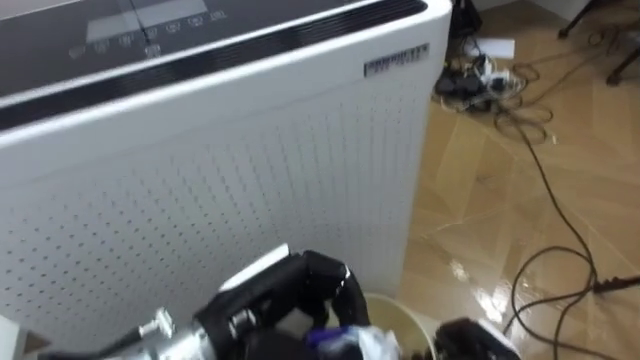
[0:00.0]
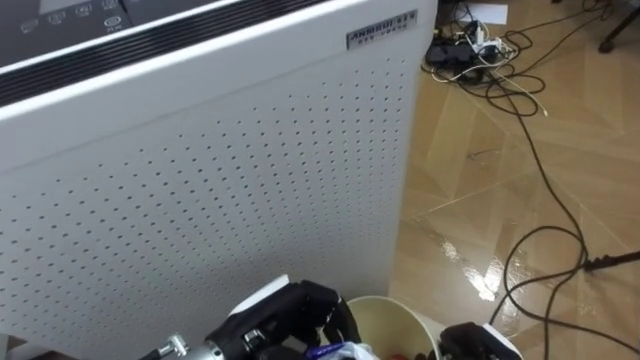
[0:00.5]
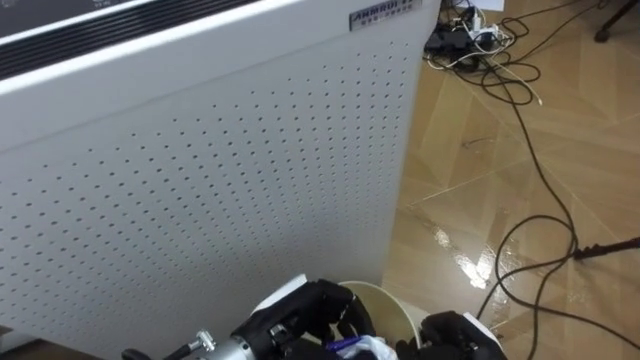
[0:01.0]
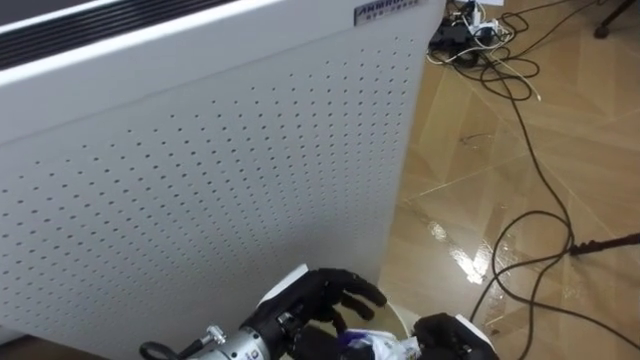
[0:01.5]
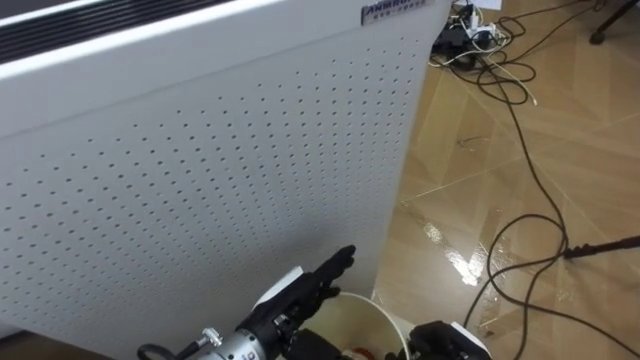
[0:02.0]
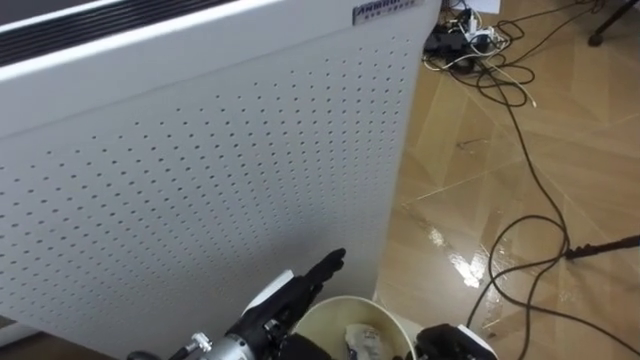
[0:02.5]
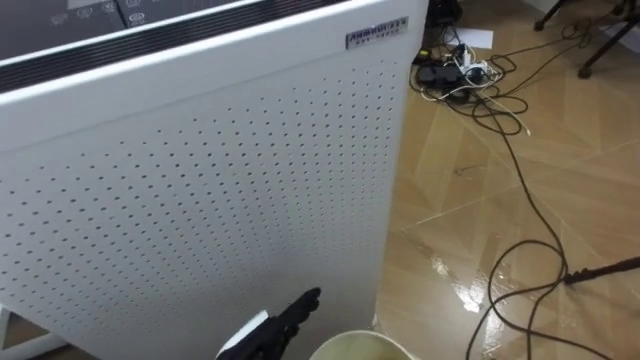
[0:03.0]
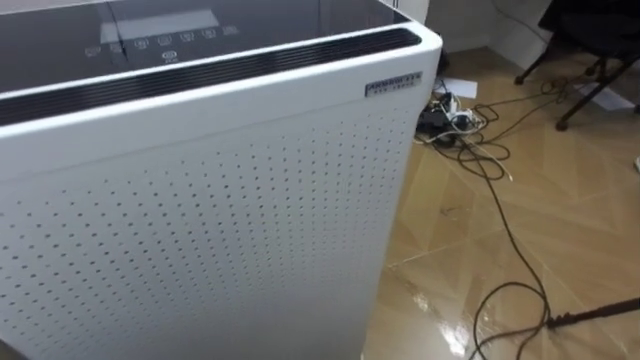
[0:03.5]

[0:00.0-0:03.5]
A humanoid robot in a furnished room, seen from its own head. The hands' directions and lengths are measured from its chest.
Task of the whole recording: Pick up the light blue package, the candy box, and the dark blue package separately, and put them into the trash can held in your right hand.
0:00.0 to 0:02.0: The left hand moves downward, some 10 cm, and opens up.

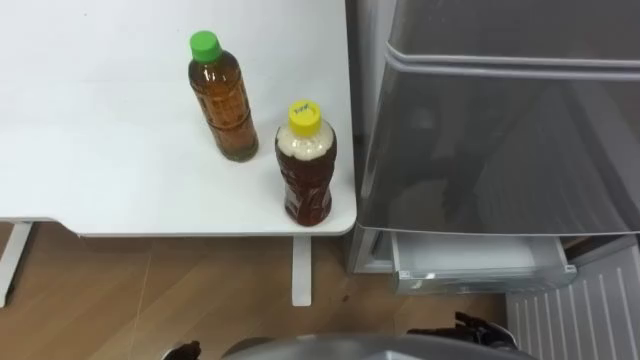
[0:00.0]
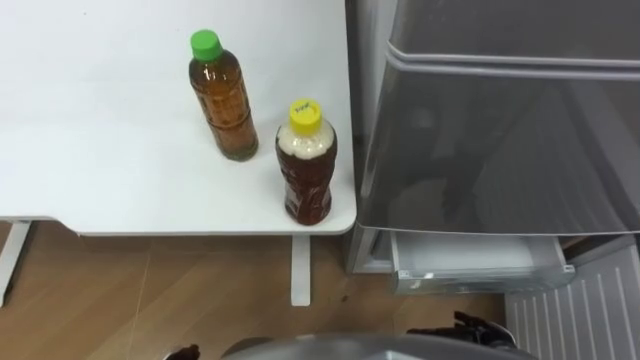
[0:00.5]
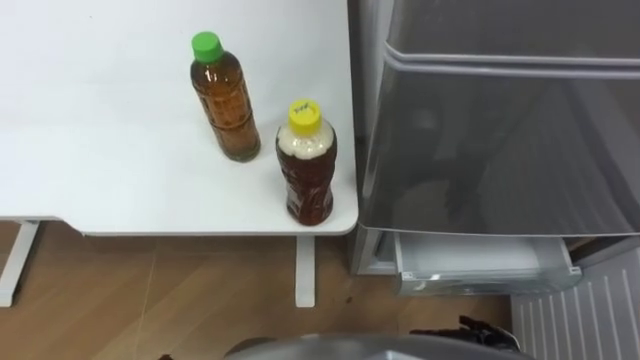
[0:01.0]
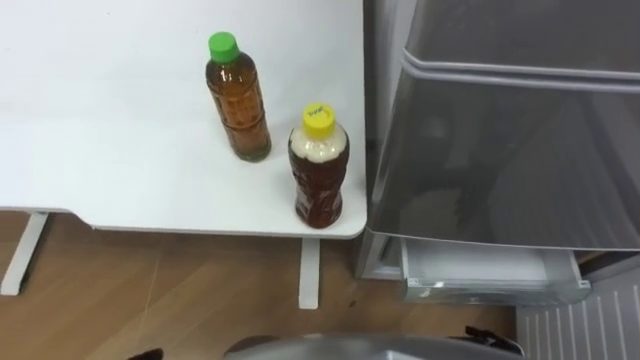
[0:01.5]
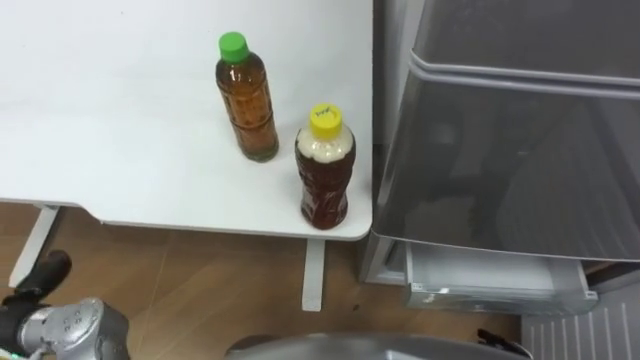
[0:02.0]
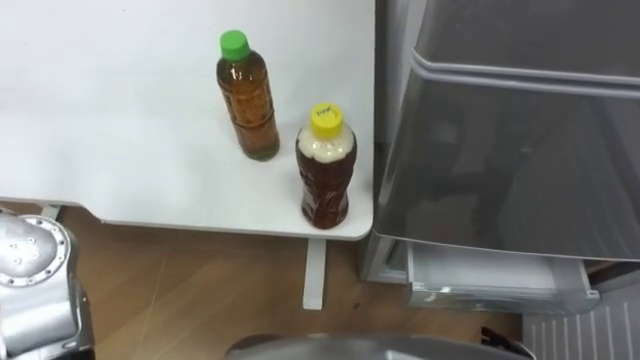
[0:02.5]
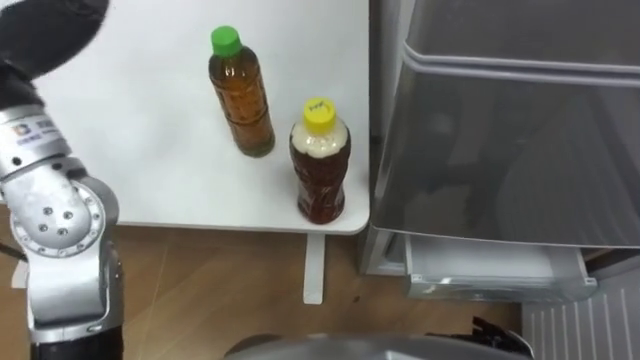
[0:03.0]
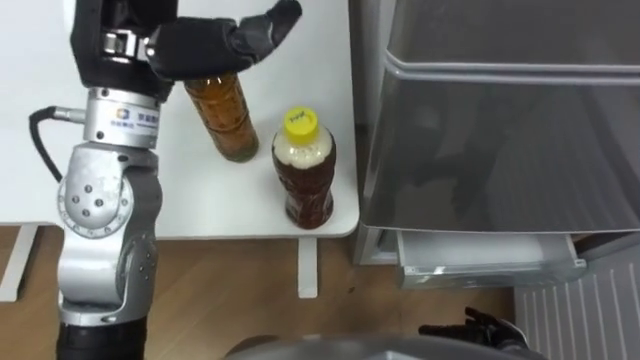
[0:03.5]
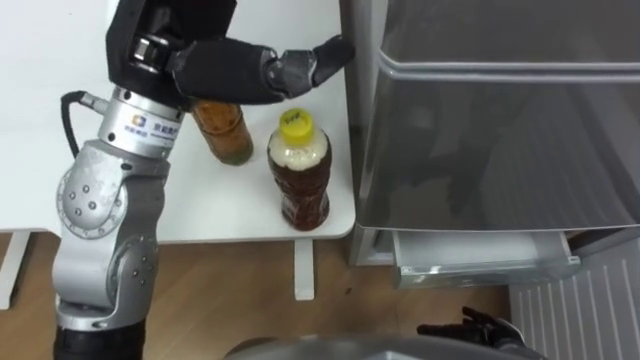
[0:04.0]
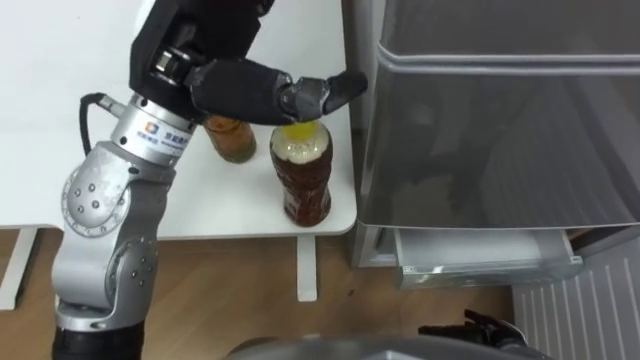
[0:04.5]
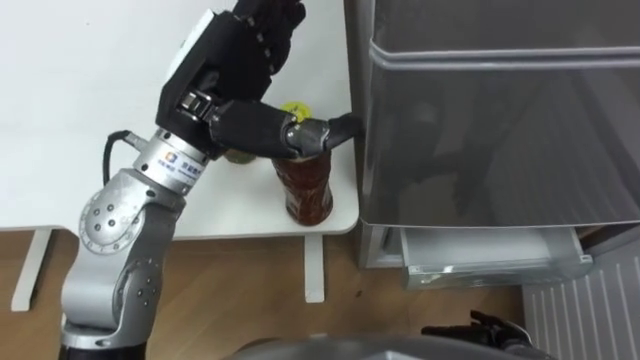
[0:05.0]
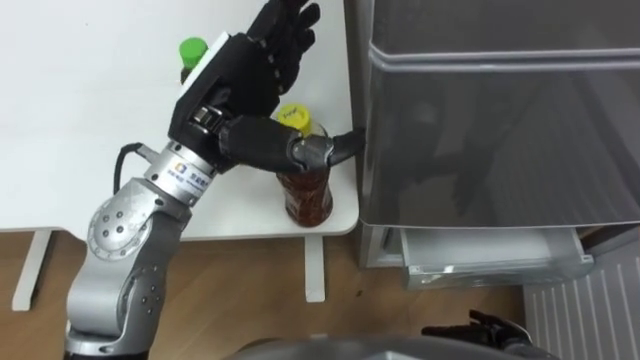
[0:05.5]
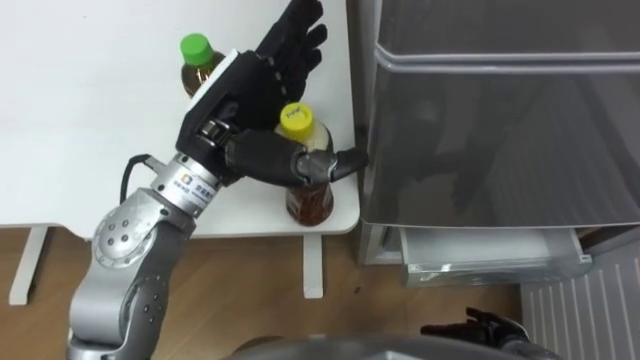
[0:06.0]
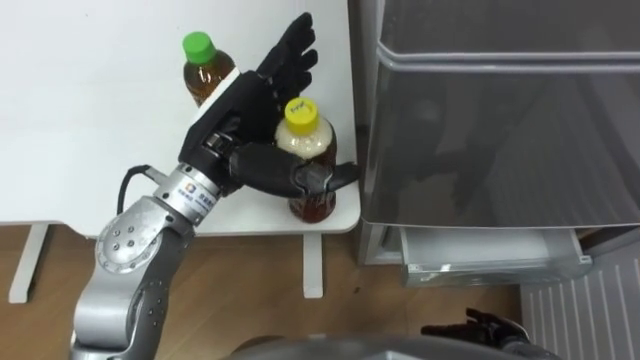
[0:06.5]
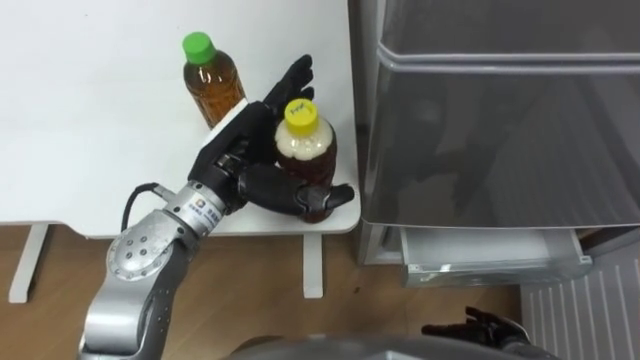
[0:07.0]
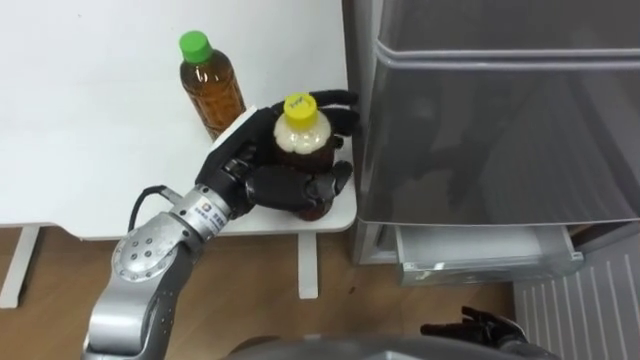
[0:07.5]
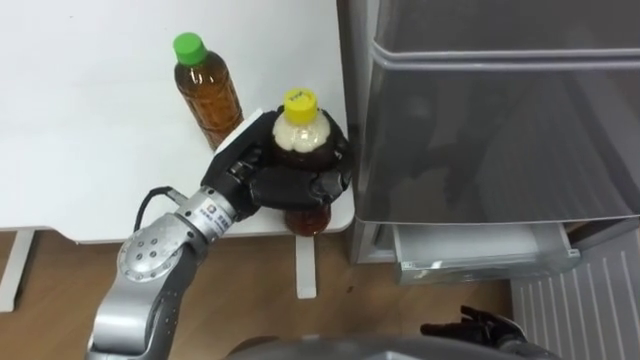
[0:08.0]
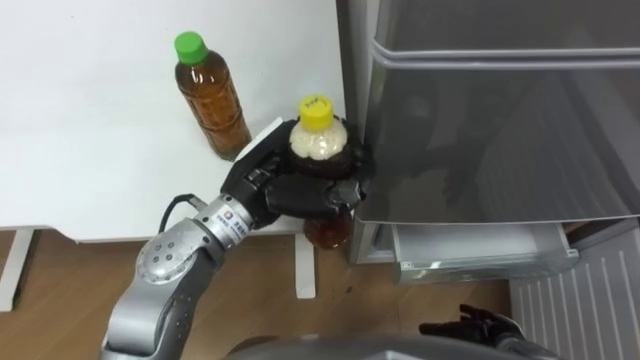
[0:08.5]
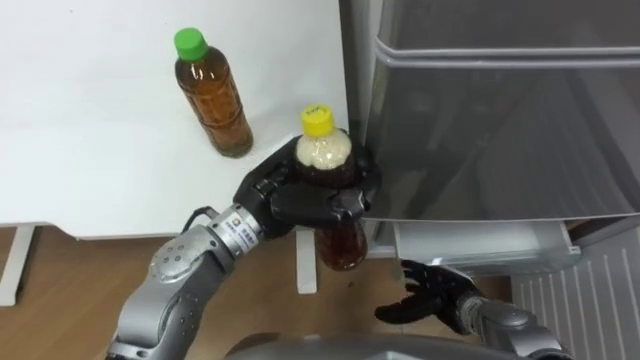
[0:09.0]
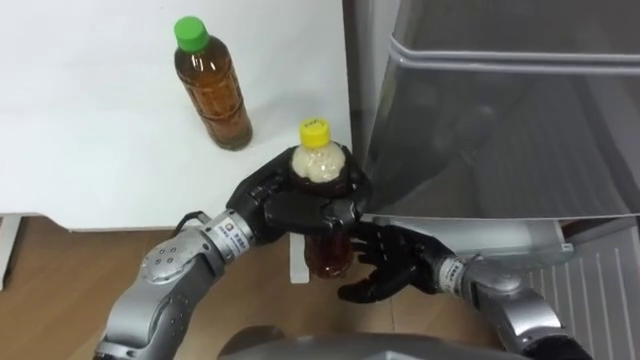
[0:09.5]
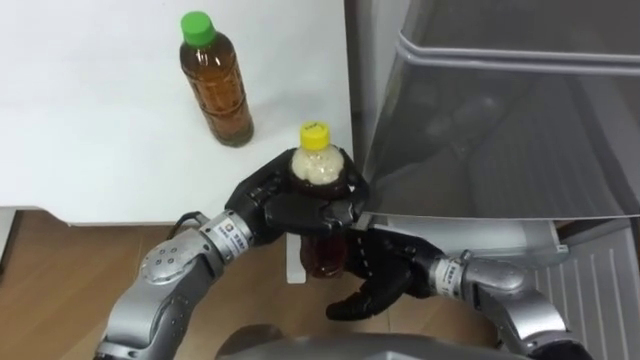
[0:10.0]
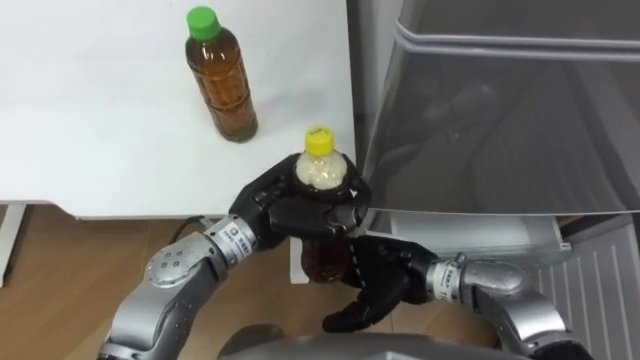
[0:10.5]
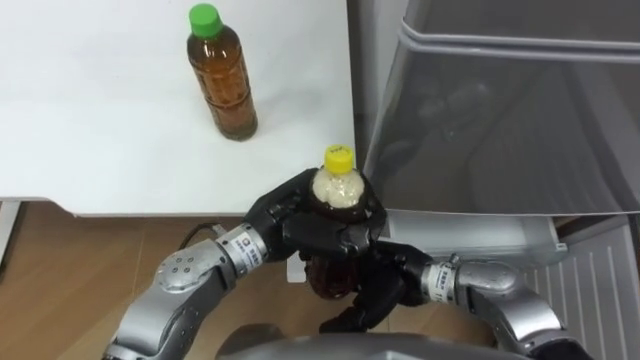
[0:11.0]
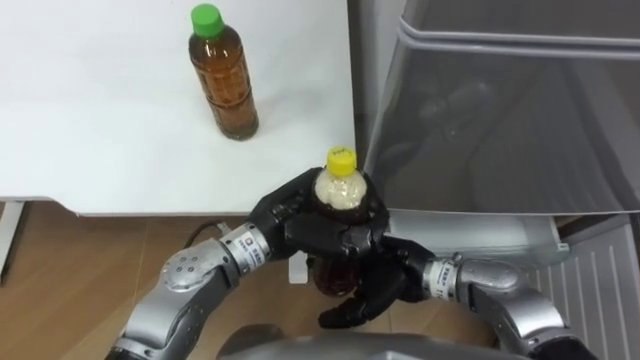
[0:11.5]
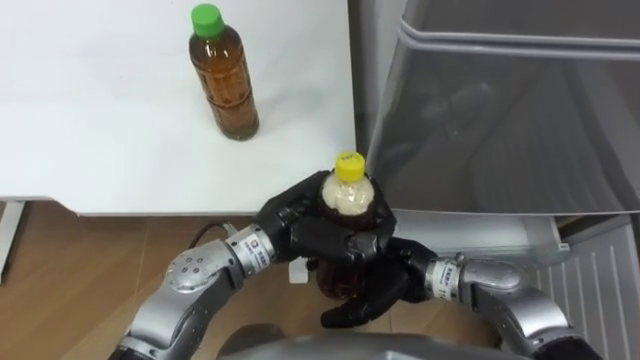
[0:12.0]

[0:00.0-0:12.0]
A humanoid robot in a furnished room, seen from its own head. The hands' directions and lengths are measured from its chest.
Task of the whole recording: Place the drink on the table on the bottom shelf of the refrigerator, then close the drawer and the refrigerator door.
0:04.0 to 0:06.0: The left hand is displaced downward by approximately 10 cm.
0:06.0 to 0:08.0: The left hand goes some 5 cm downward, and closes up.
0:08.0 to 0:10.0: The left hand ends up roughly 5 cm from where it was, while the right hand travels to the left, upward and forward by about 20 cm.

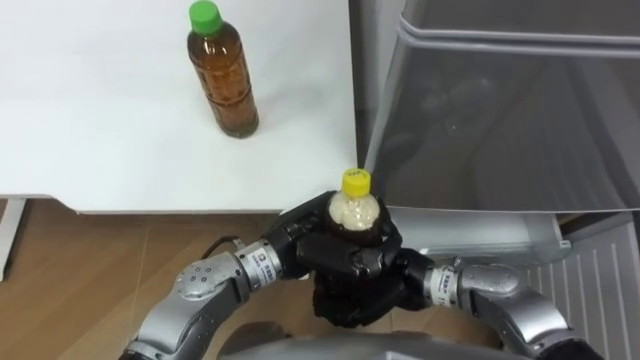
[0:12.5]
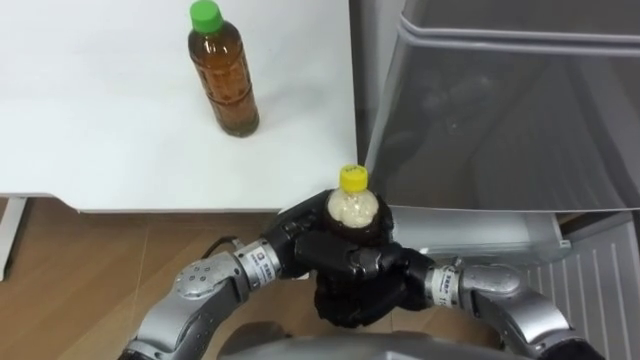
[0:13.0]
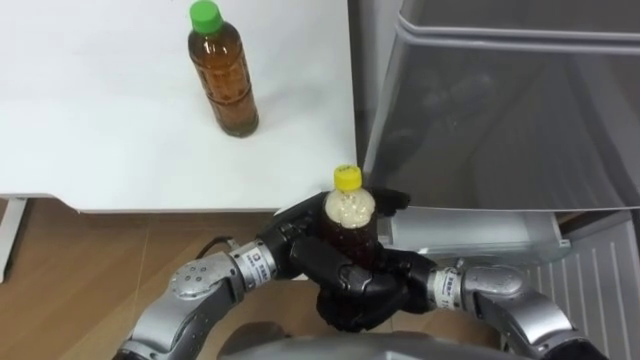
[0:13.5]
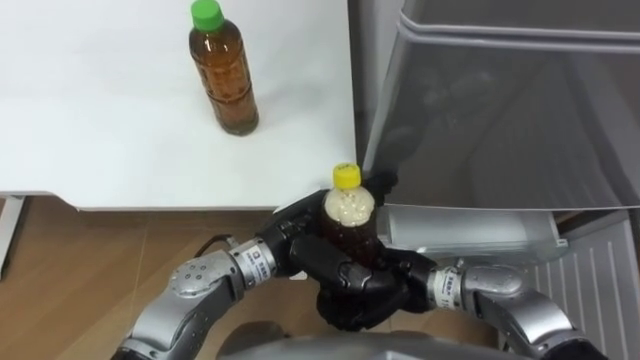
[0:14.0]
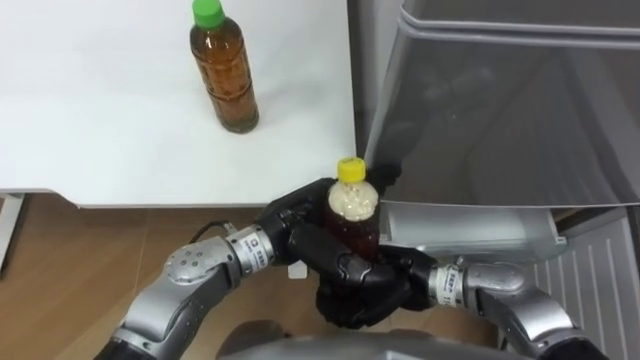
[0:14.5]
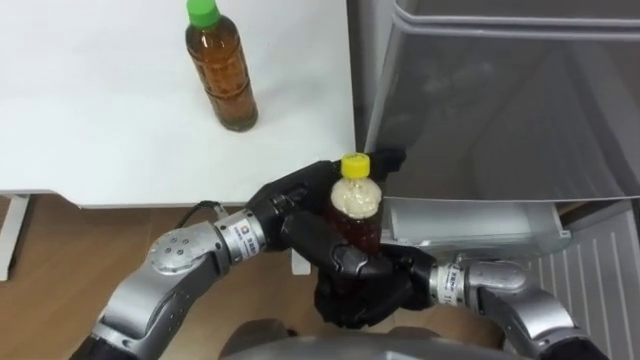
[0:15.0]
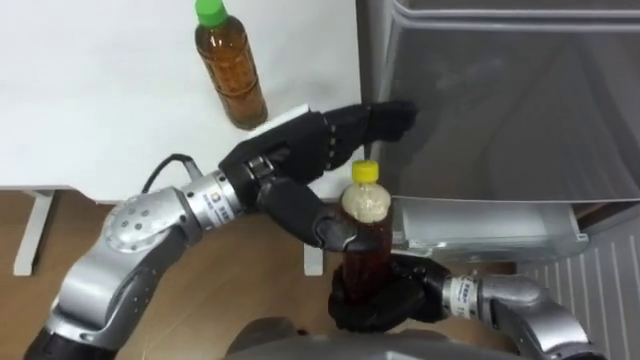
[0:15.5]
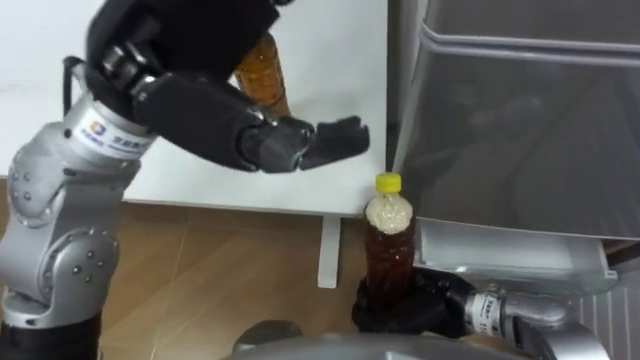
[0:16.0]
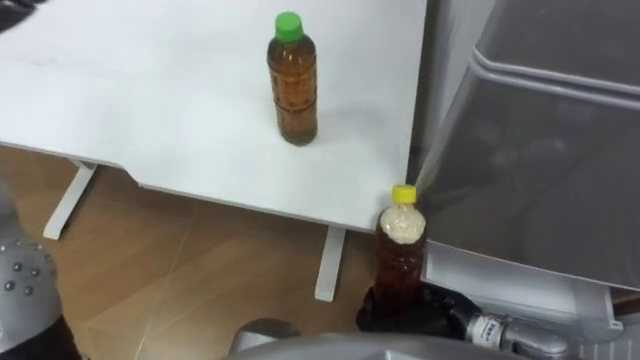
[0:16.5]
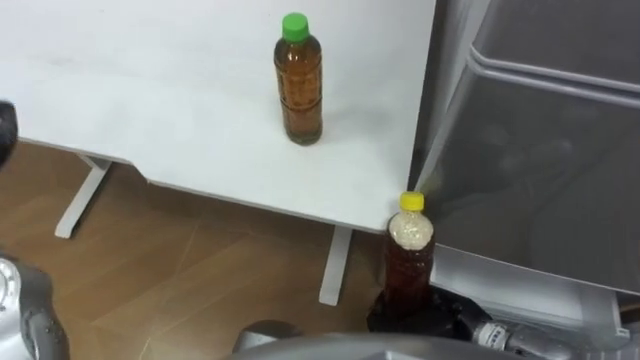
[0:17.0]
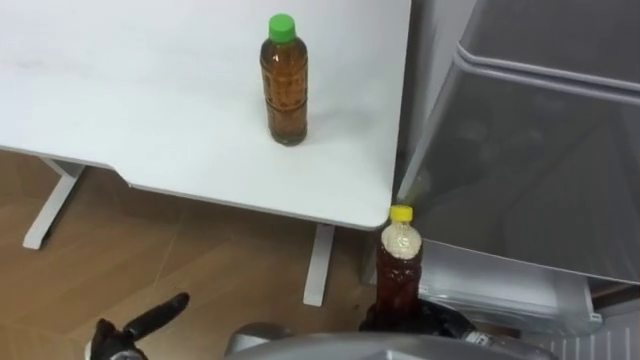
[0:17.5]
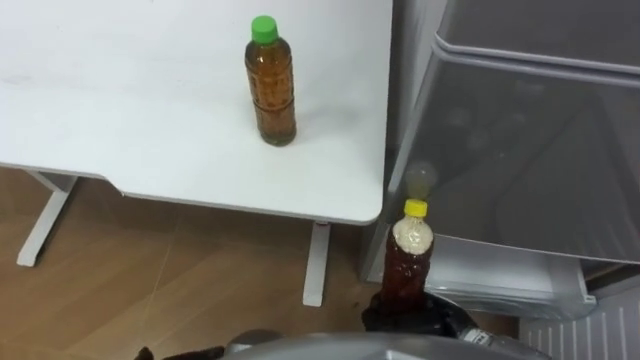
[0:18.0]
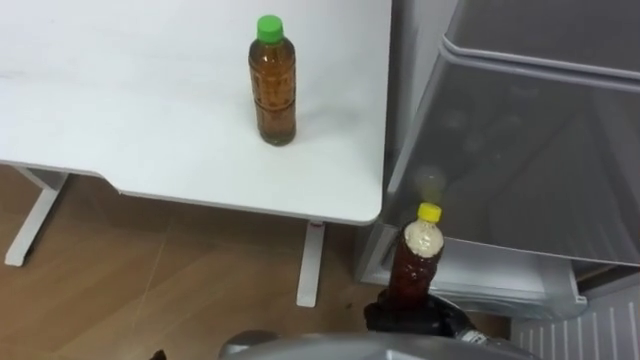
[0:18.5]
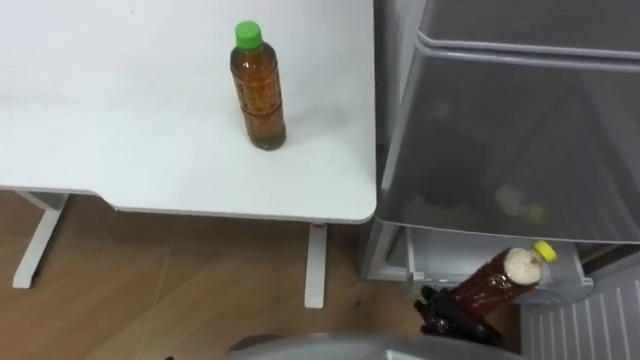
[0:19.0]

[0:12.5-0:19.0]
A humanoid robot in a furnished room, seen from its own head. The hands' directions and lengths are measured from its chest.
Task of the whole recording: Place the drink on the table on the bottom shelf of the refrigerator, then close the drawer and the refrigerator door.
0:12.5 to 0:14.5: The left hand opens up.
0:14.5 to 0:17.0: The right hand is displaced to the right and downward by about 10 cm.
0:17.0 to 0:19.0: The right hand travels downward by about 5 cm.
